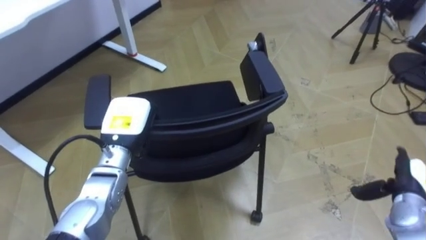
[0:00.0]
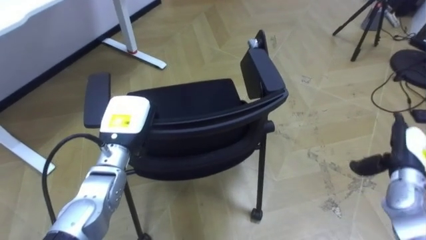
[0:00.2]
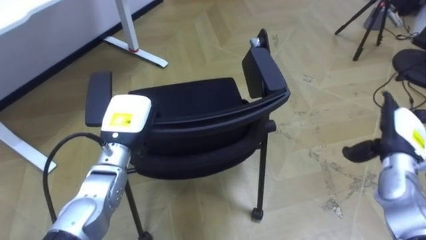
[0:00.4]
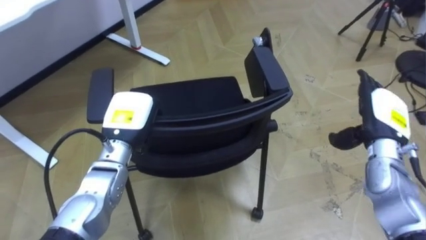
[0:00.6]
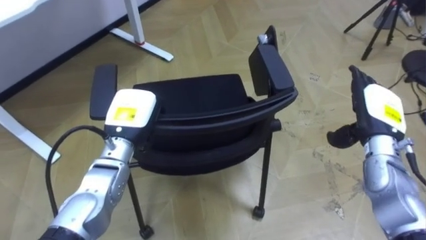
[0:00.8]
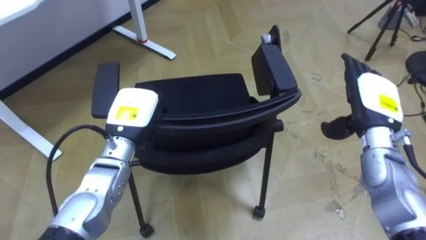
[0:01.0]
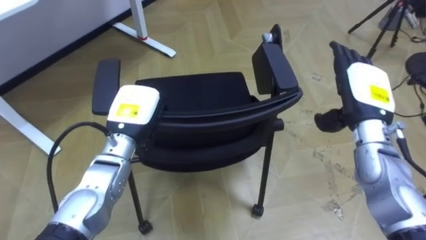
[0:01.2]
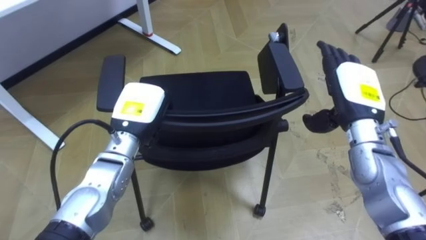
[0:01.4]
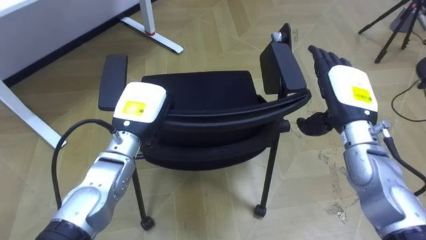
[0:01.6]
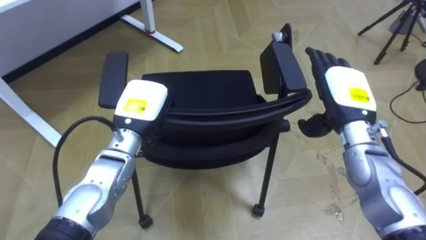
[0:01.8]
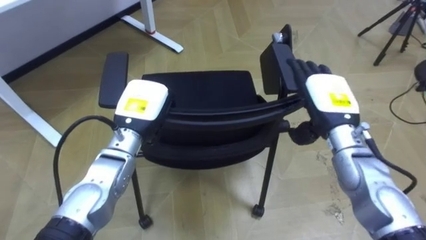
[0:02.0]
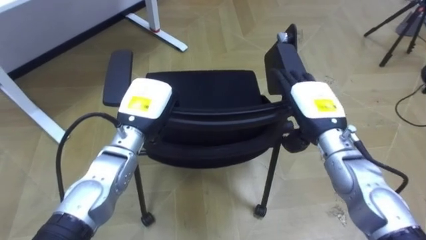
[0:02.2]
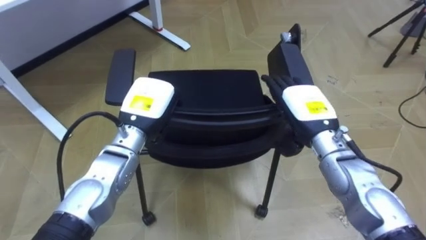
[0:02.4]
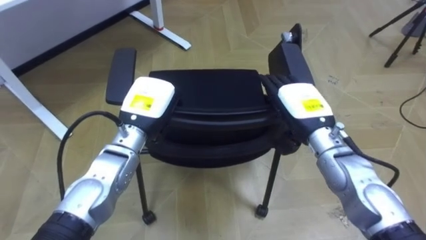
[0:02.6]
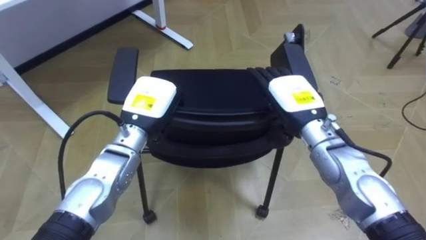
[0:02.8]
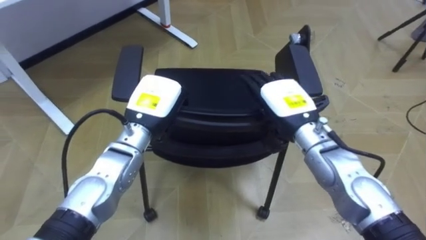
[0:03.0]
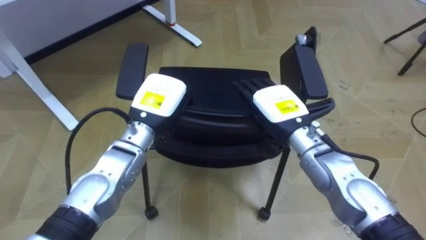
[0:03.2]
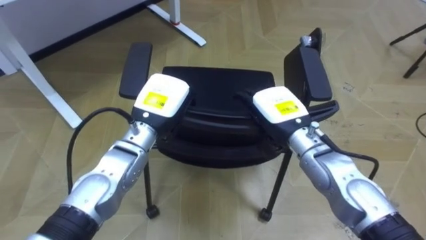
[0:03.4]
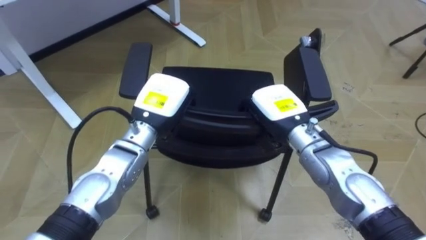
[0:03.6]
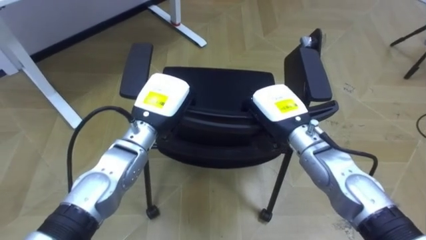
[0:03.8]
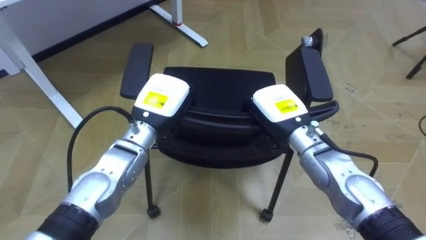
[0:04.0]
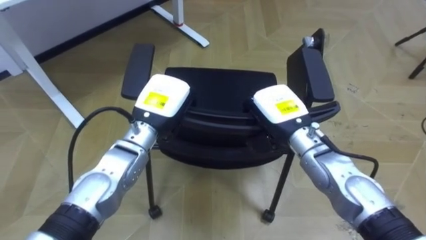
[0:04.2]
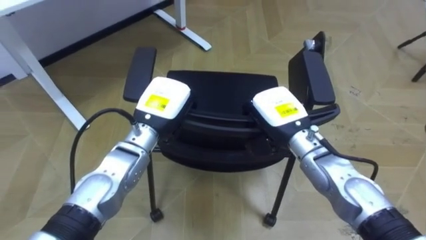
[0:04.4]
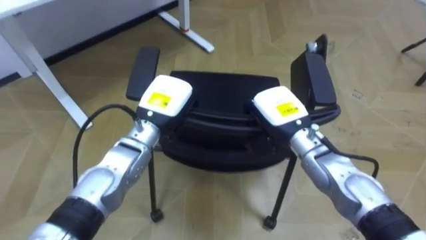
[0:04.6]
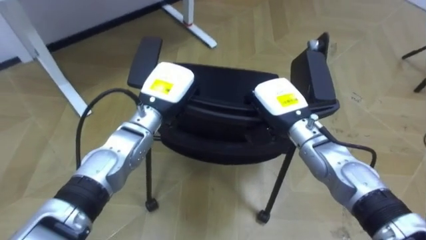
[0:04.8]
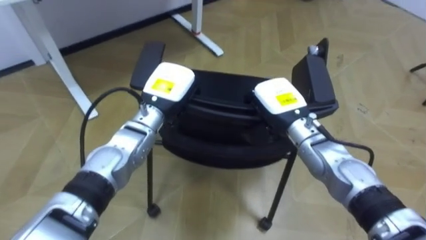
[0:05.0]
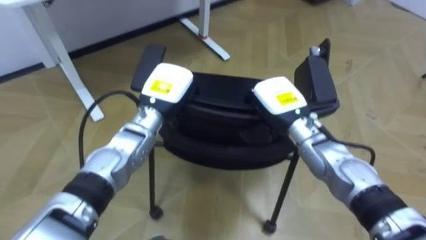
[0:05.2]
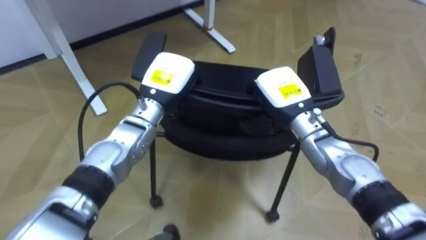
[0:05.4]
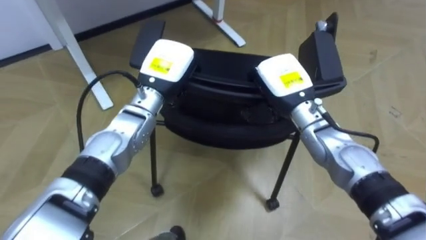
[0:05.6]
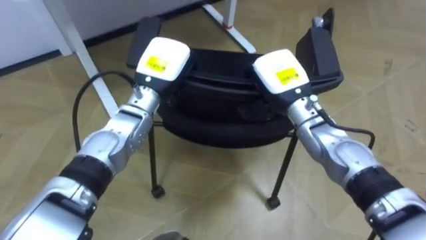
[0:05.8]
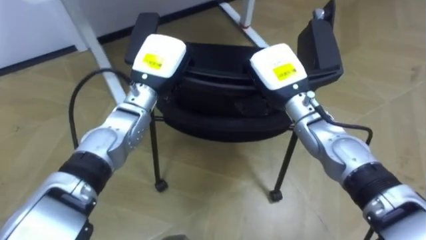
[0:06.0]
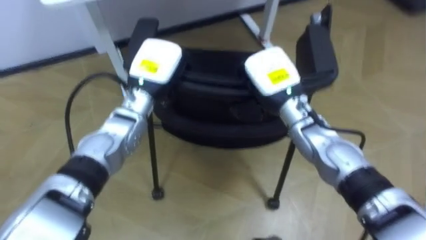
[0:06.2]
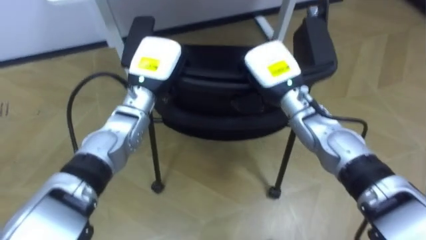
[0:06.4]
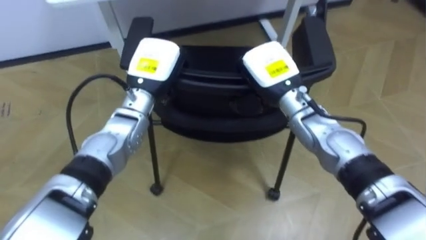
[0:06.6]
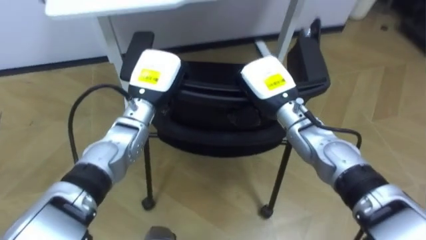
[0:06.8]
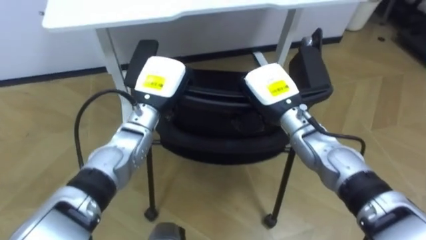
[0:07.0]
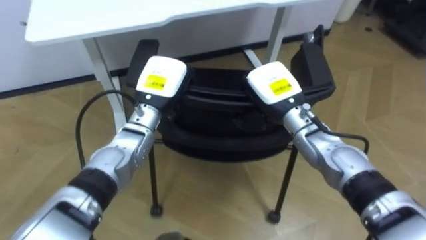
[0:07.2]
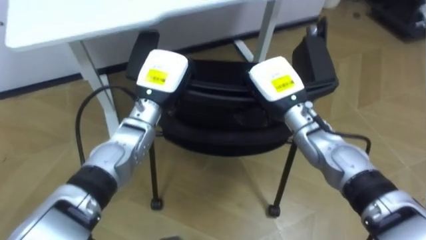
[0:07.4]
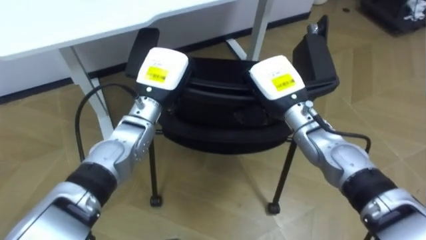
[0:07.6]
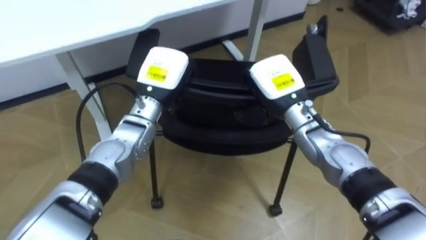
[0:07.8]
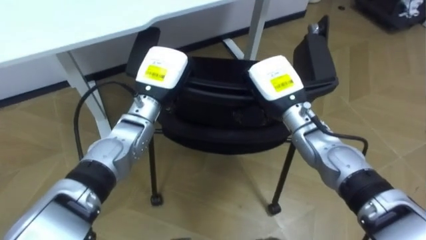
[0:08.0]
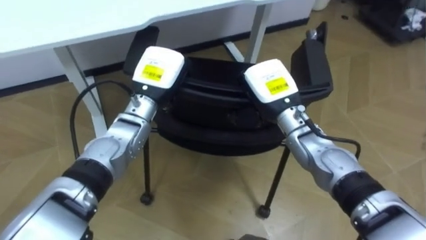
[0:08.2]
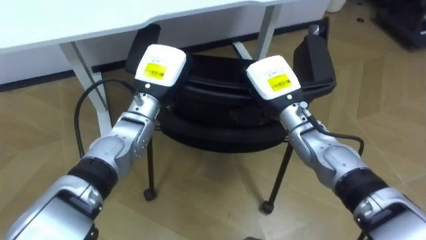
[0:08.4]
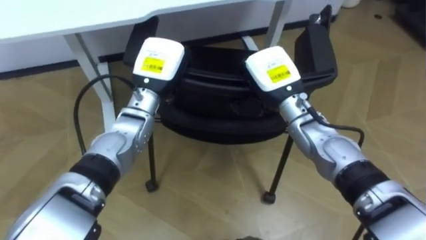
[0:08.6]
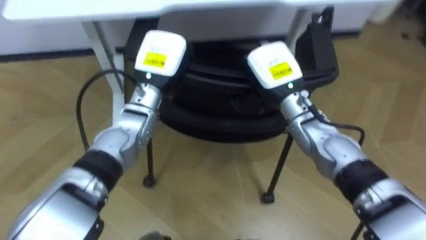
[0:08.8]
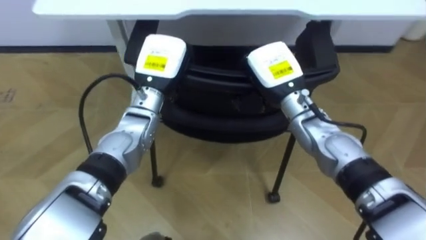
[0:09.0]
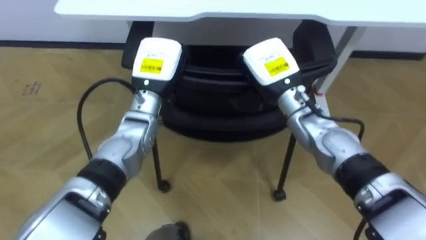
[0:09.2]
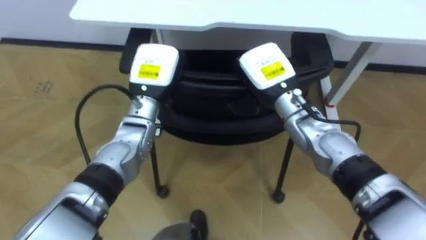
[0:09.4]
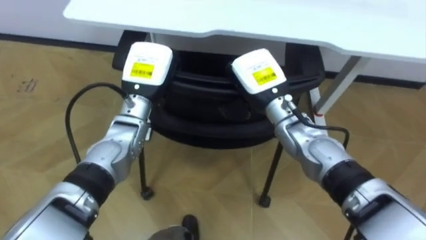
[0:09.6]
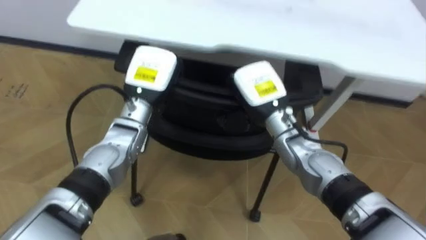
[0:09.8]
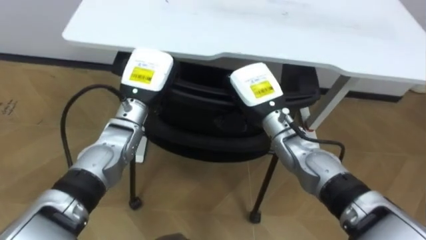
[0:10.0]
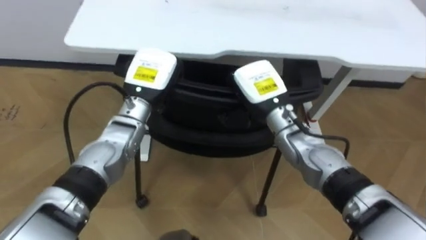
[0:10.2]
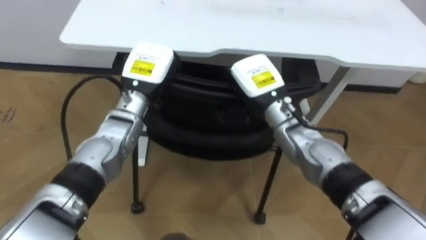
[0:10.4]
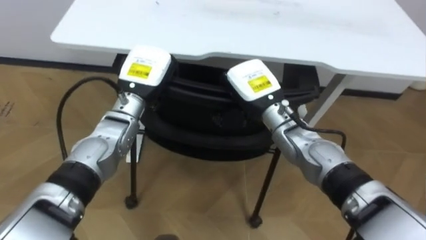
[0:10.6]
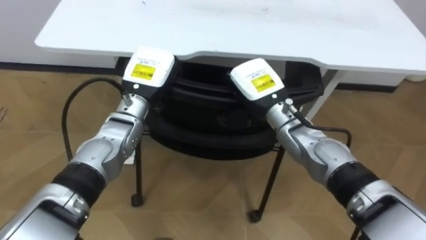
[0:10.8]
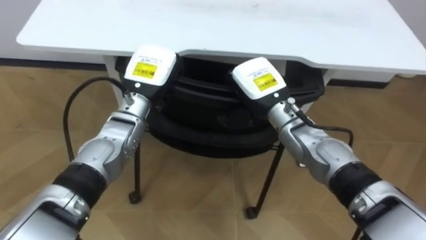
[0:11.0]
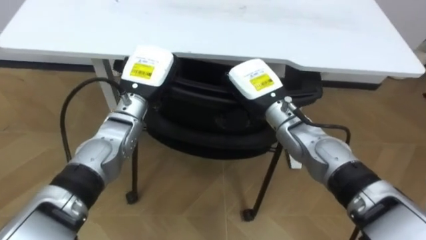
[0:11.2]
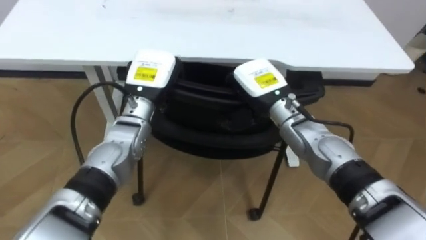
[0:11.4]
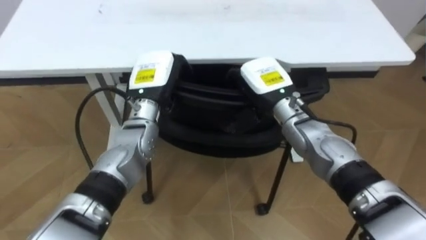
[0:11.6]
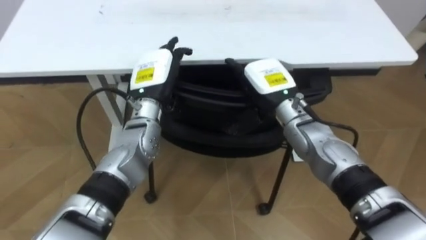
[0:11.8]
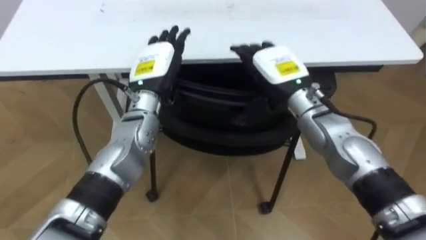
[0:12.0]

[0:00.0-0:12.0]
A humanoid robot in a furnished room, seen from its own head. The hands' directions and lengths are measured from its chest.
Task of the whole recording: Push the chair under the table.
0:00.0 to 0:01.6: The right hand goes some 25 cm upward, to the left and forward.
0:01.6 to 0:03.0: The right hand goes some 10 cm to the left.
0:03.0 to 0:04.4: The right hand closes up.
0:04.4 to 0:06.0: The right hand heads upward and forward, covering about 5 cm. The left hand is displaced forward by about 5 cm.
0:07.6 to 0:09.0: The robot turns to its left by some 25 degrees.
0:10.4 to 0:12.0: The right hand moves roughly 5 cm, and opens its fingers. The left hand opens.

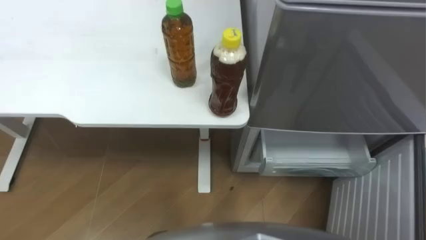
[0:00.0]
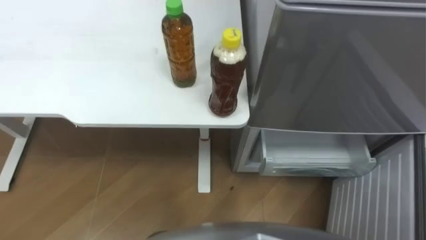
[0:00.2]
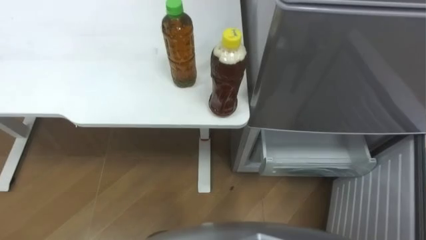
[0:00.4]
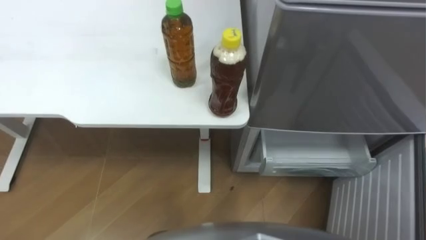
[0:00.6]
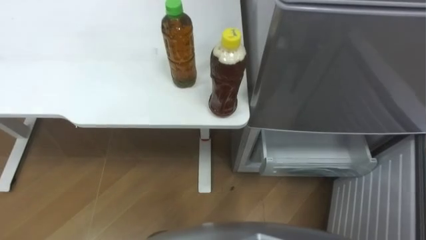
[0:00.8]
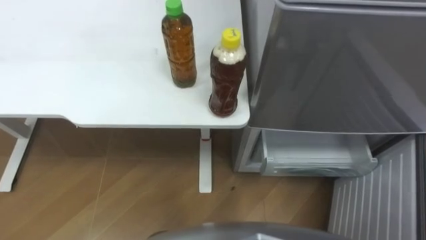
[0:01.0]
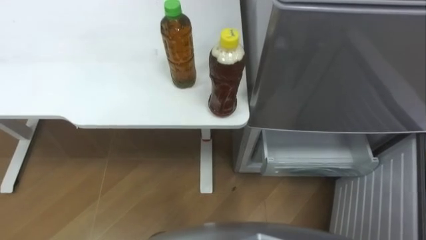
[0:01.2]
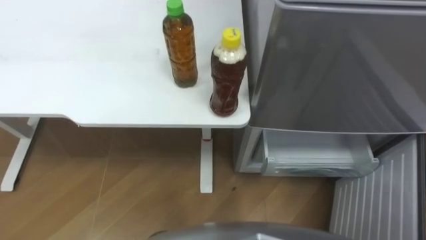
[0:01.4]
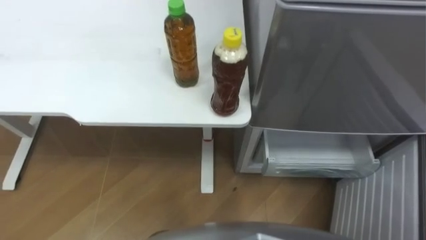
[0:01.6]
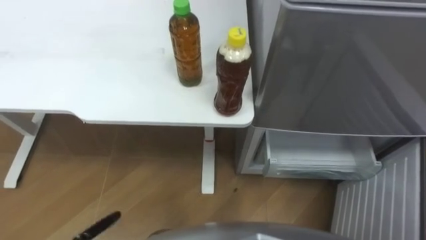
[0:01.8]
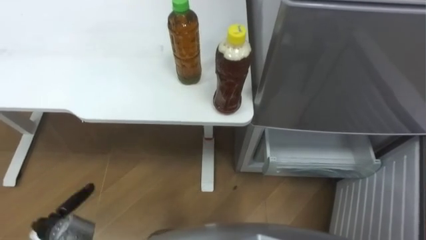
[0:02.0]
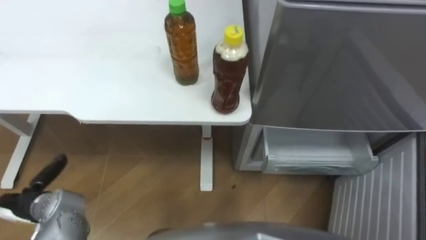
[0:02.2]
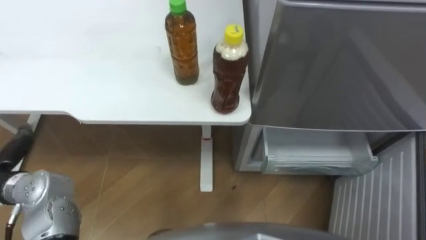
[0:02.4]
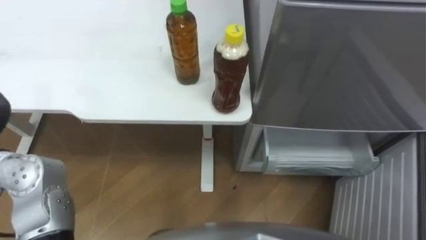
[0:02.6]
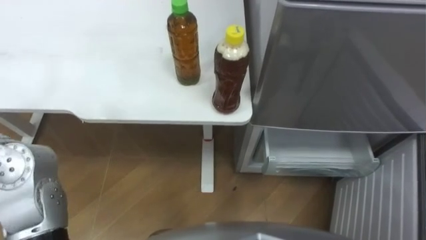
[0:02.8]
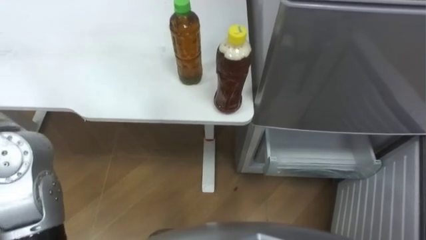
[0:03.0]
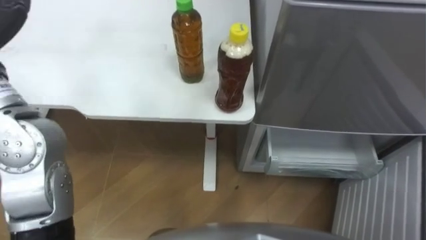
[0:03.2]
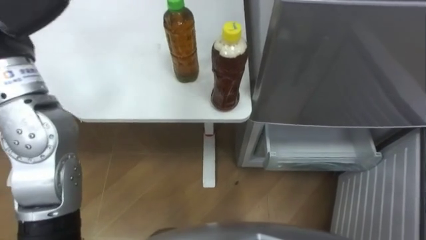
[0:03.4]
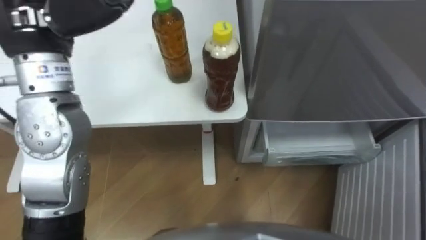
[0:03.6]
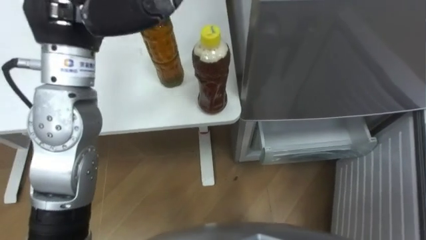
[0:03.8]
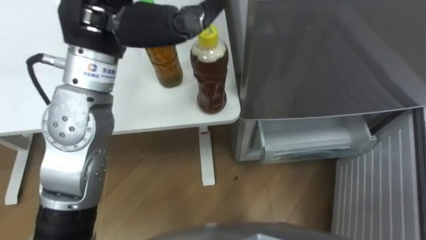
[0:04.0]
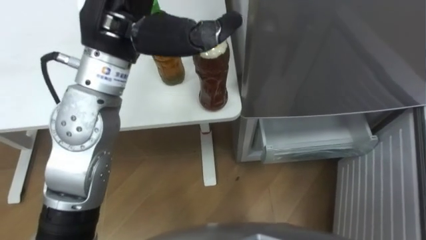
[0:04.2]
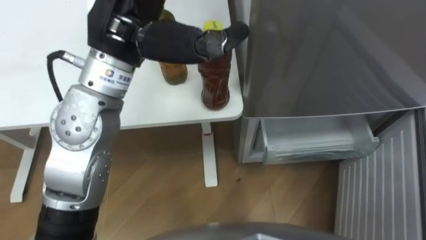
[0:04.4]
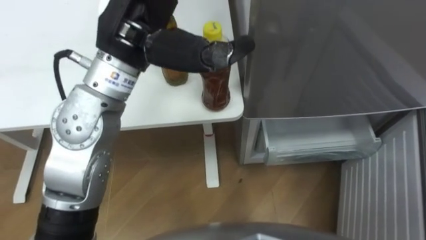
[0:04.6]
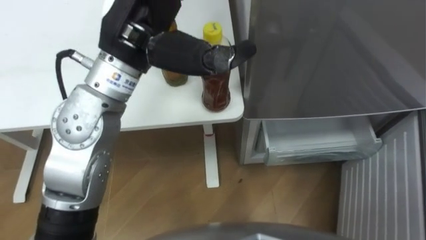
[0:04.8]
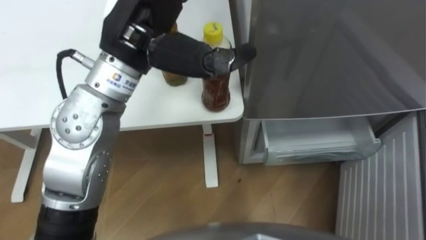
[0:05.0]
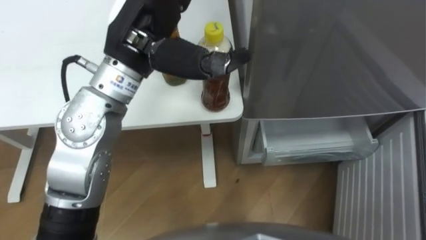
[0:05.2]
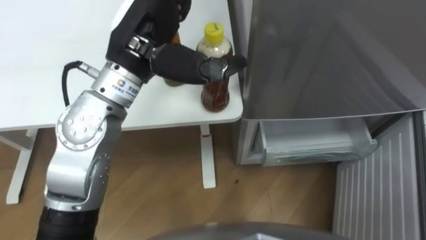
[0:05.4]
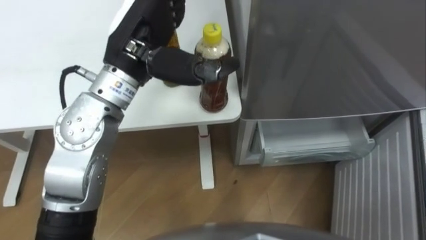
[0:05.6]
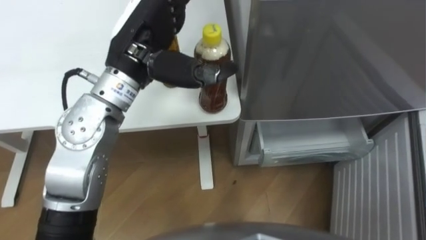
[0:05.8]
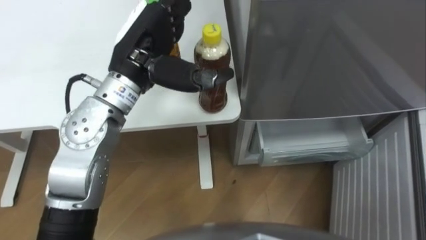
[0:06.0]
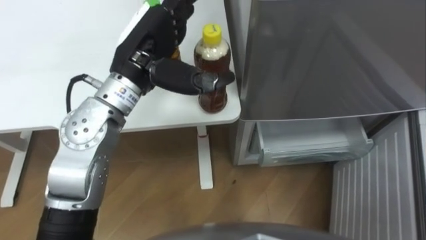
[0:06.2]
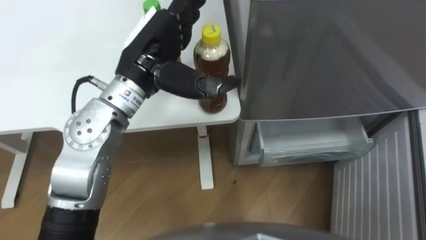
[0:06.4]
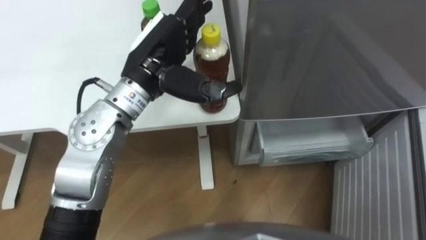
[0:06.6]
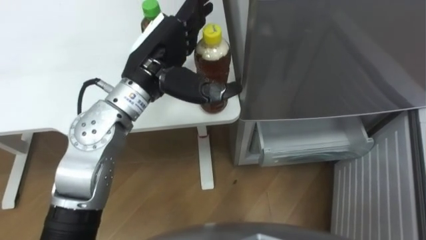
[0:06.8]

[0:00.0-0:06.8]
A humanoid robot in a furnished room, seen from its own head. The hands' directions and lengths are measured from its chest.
Task of the whole recording: Place the drink on the table on the bottom shelf of the refrigerator, then close the drawer and the refrigerator door.
0:04.0 to 0:05.4: The left hand goes about 5 cm downward.
0:05.4 to 0:06.8: The left hand is displaced downward by some 5 cm.
